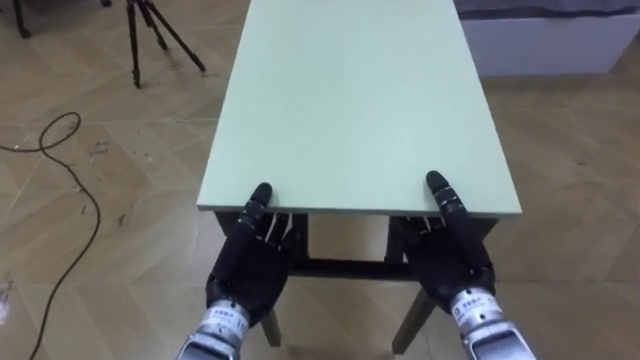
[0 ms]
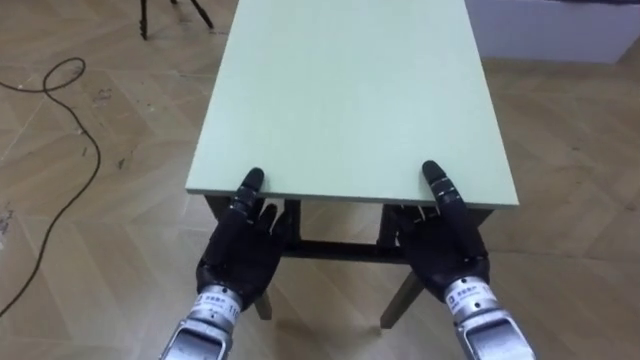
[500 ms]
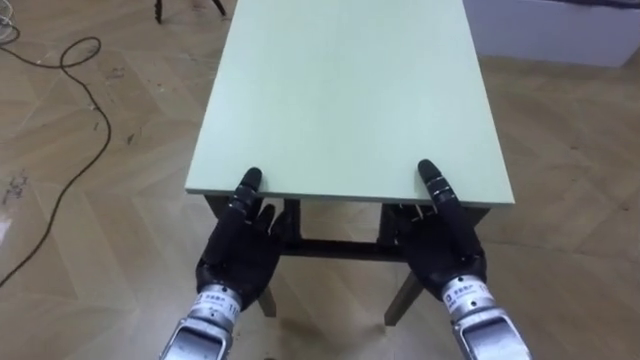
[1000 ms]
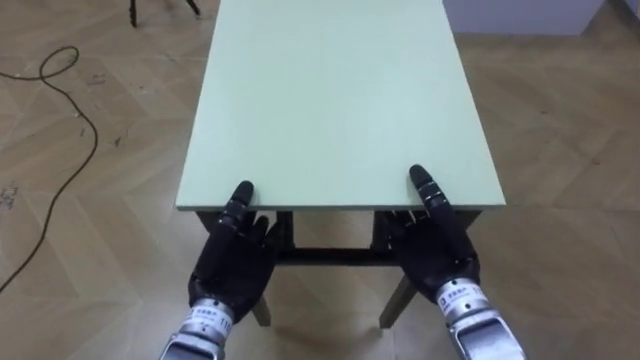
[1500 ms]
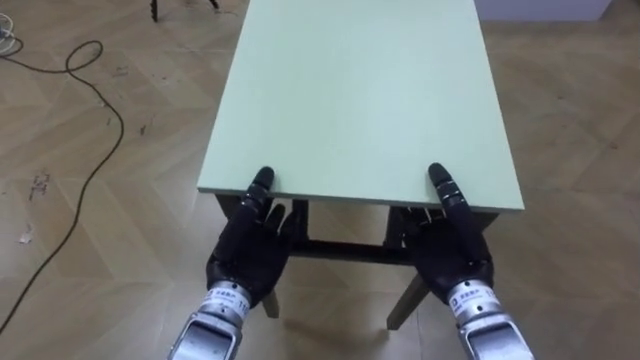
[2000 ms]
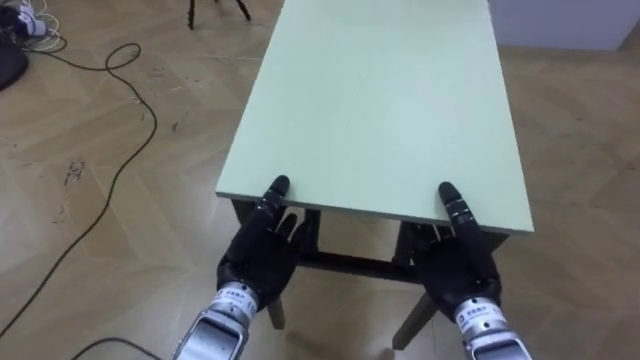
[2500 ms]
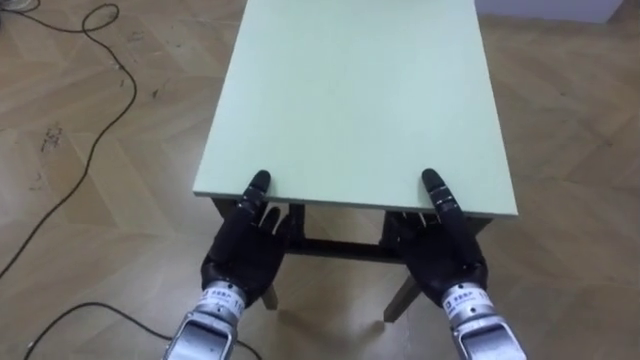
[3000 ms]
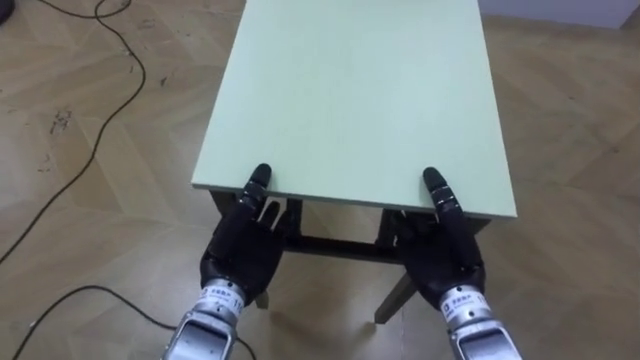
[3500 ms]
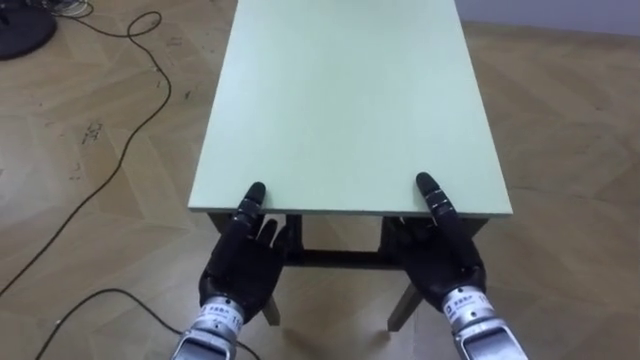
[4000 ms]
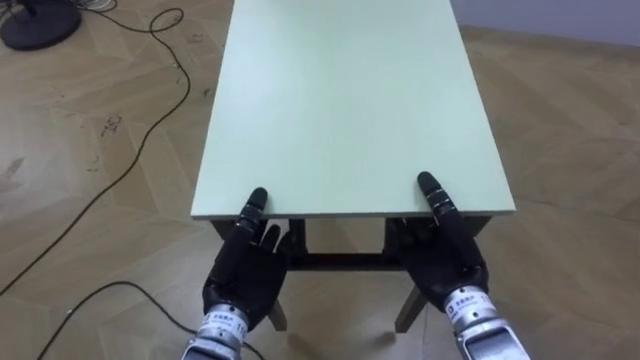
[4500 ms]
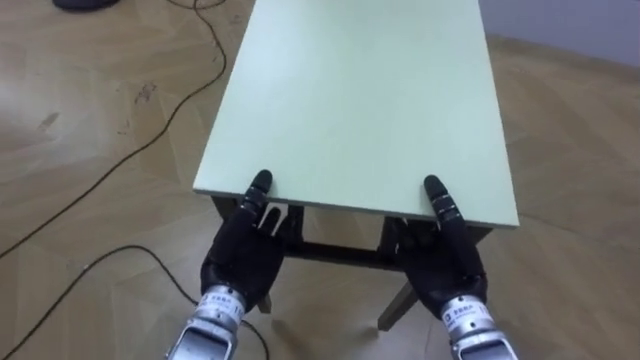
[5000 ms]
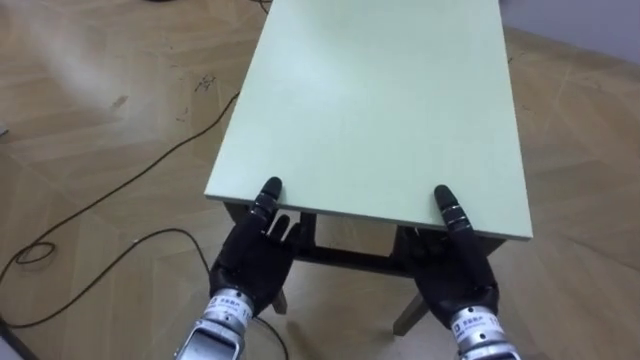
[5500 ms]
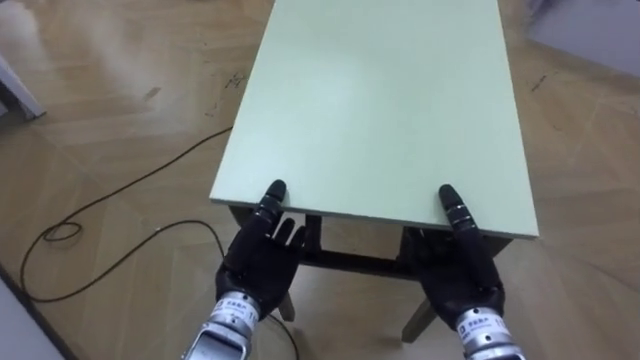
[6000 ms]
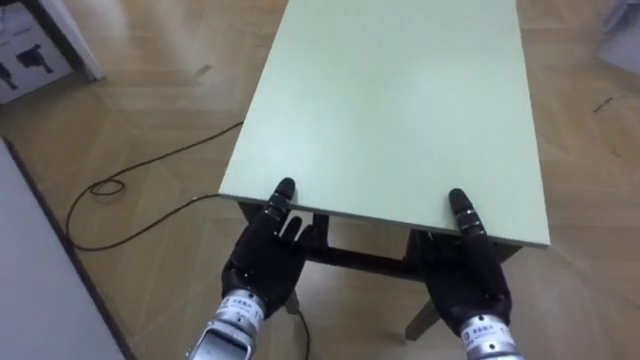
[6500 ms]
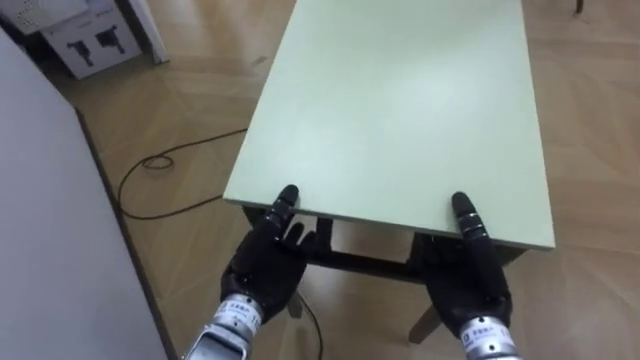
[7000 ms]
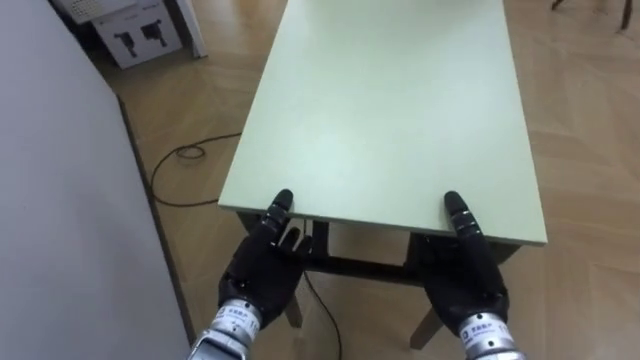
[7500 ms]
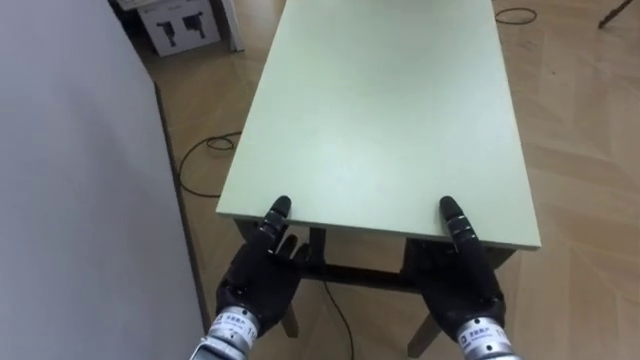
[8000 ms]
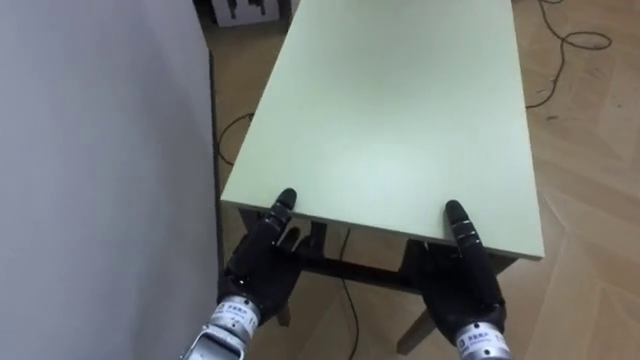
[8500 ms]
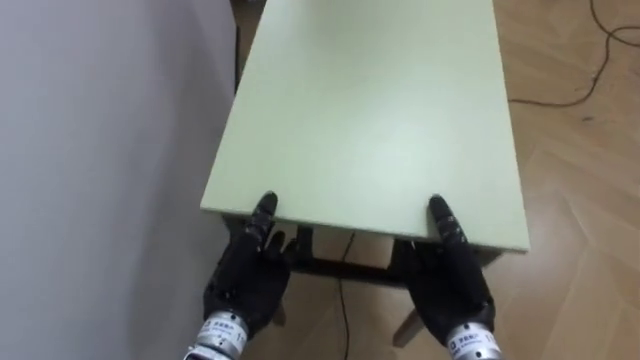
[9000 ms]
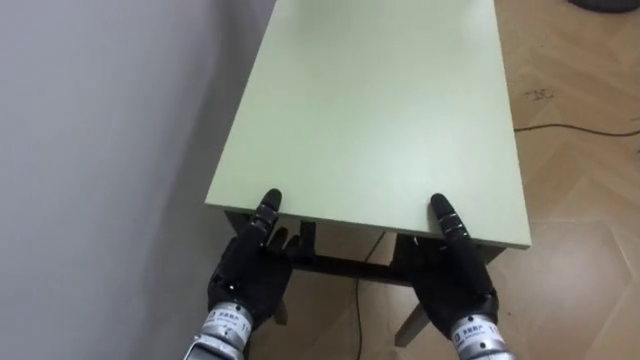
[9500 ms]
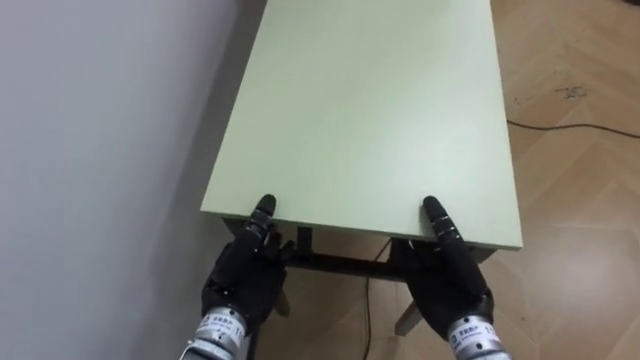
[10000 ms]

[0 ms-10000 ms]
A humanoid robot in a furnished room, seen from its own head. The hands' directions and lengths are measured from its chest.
Task of the whole recording: Move the table to the back left with someone.
4000 ms to 6000 ms: The robot rotates about 30 degrees to its left.
6000 ms to 8000 ms: The robot's body swings some 30 degrees to its left.
8000 ms to 10000 ms: The robot turns to its left by roughly 30 degrees.

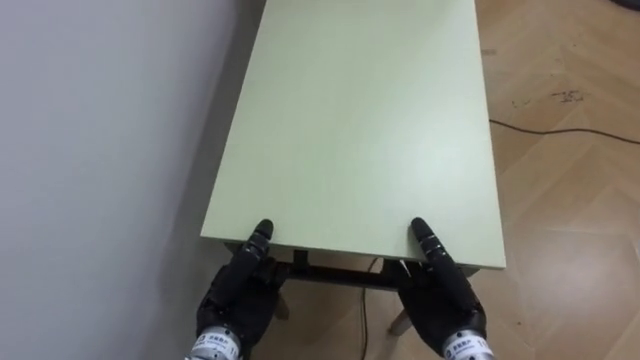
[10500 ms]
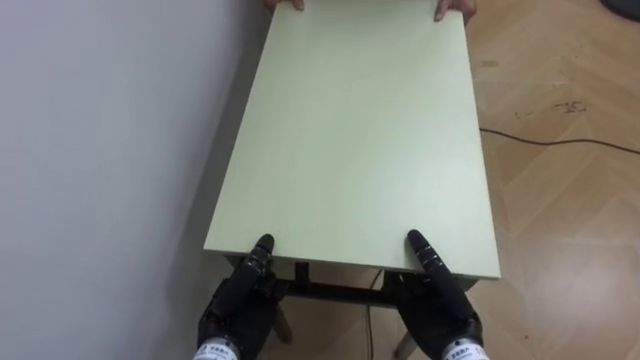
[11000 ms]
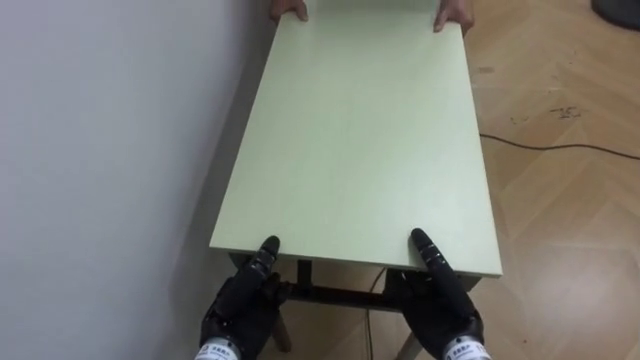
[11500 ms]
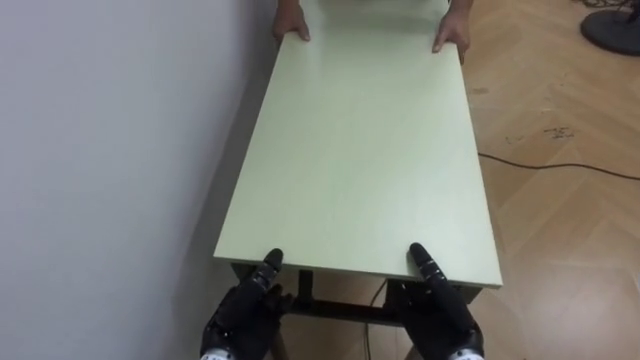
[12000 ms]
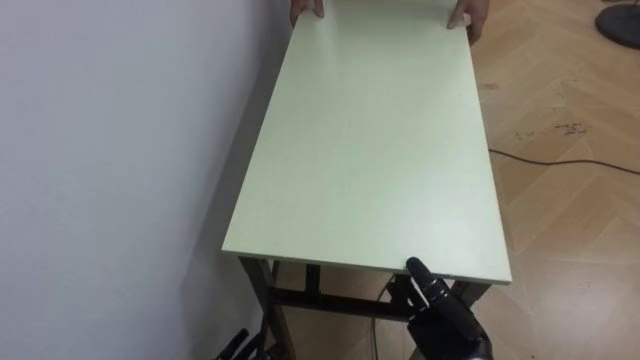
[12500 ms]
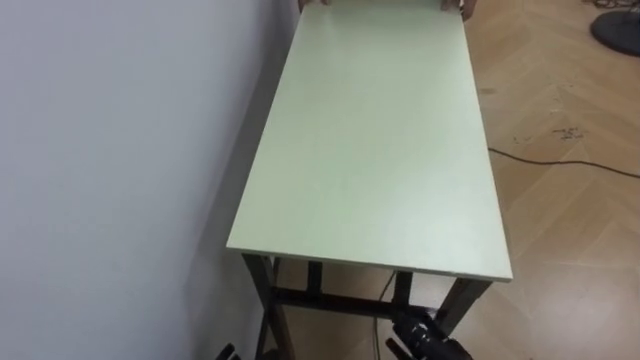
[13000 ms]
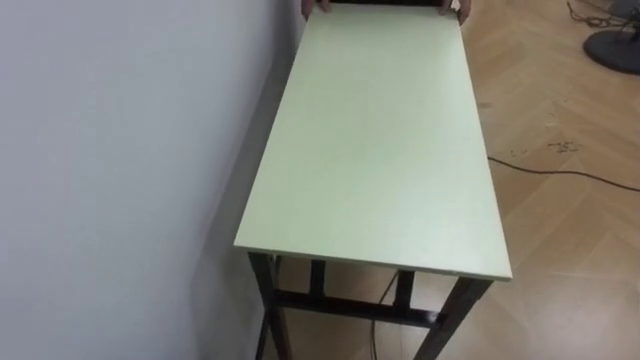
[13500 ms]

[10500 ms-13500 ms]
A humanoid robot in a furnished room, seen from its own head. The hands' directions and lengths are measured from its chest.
Task of the whole recording: Move the table to the back left with someone.
10500 ms to 12000 ms: The left hand moves downward, roughly 5 cm.

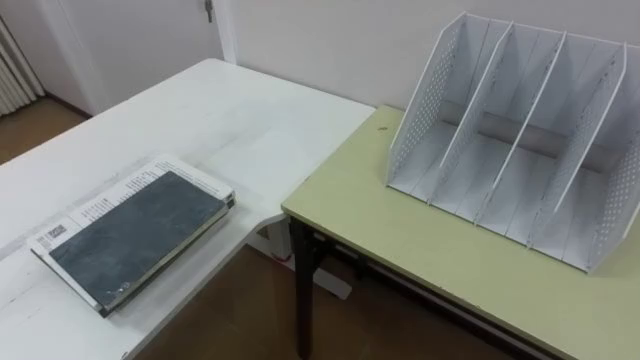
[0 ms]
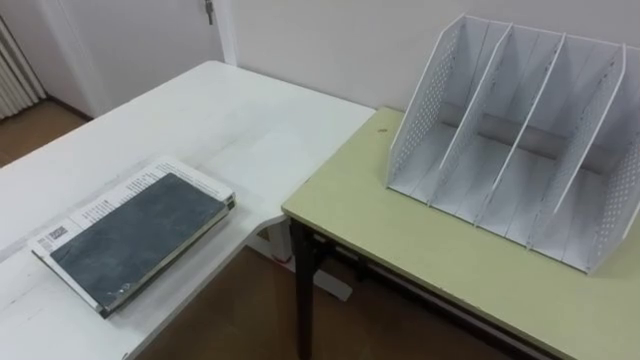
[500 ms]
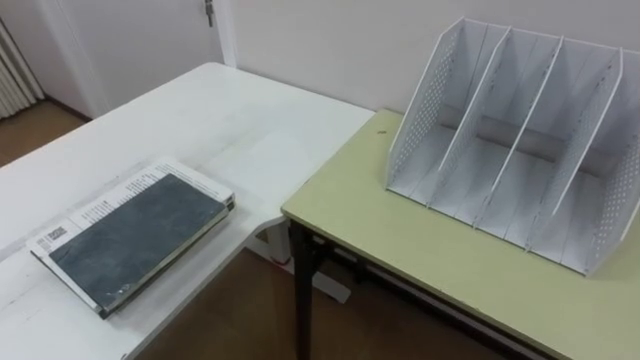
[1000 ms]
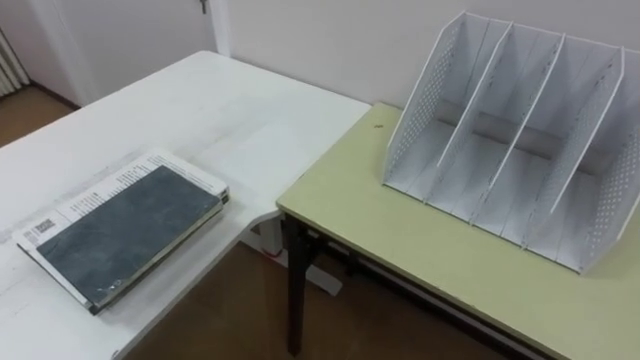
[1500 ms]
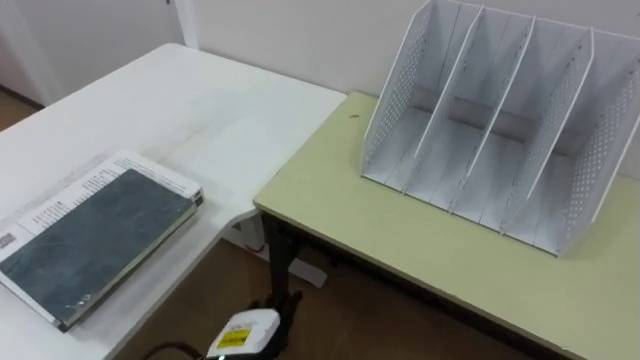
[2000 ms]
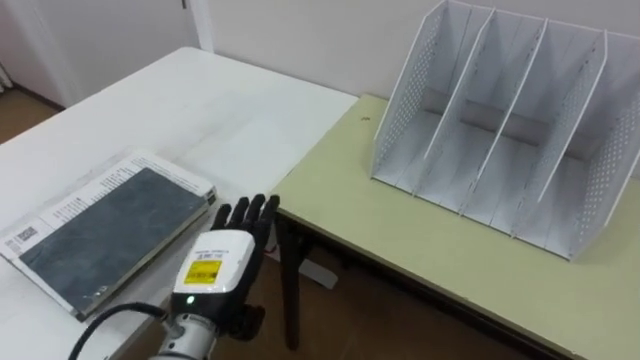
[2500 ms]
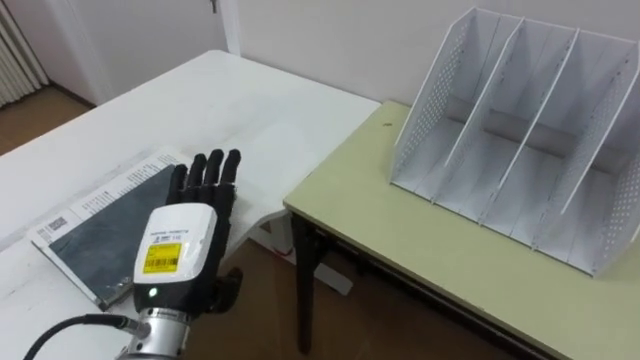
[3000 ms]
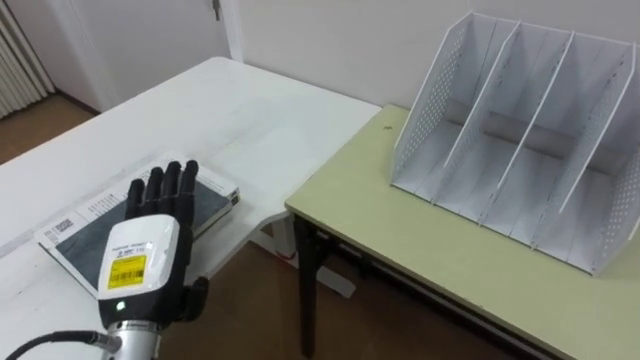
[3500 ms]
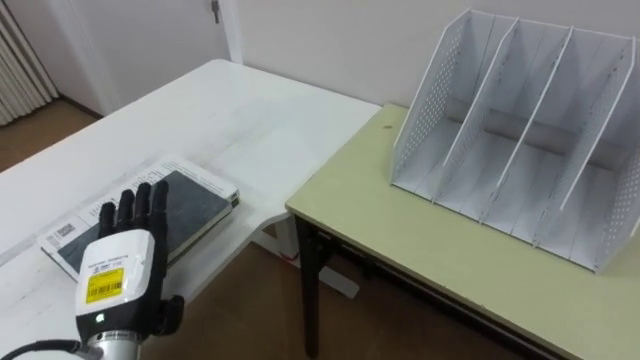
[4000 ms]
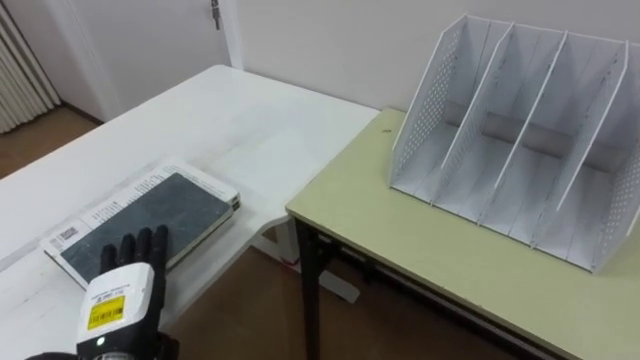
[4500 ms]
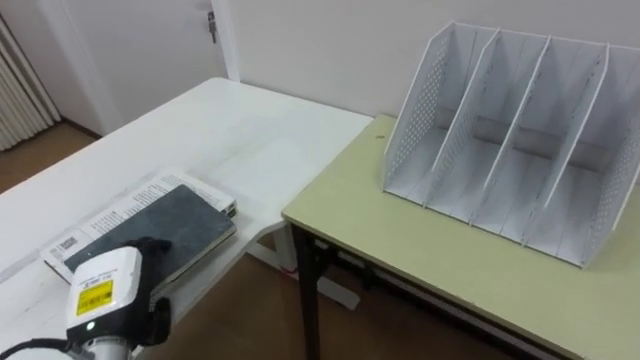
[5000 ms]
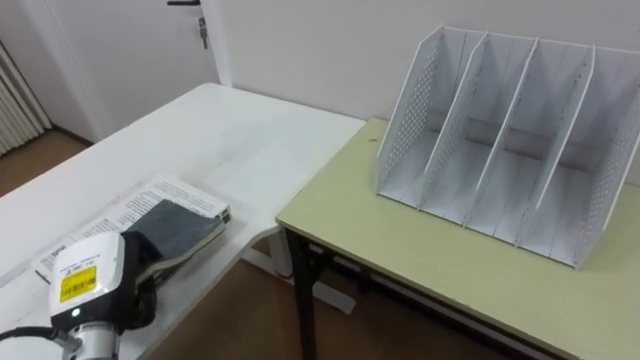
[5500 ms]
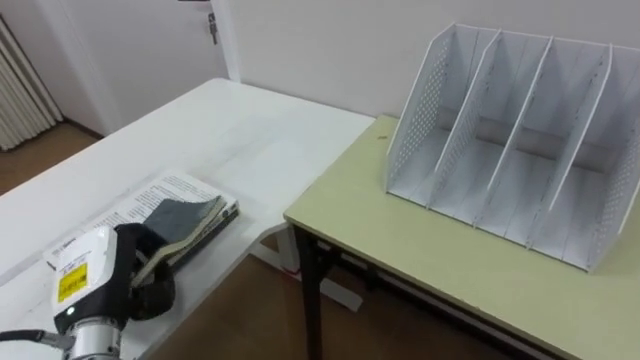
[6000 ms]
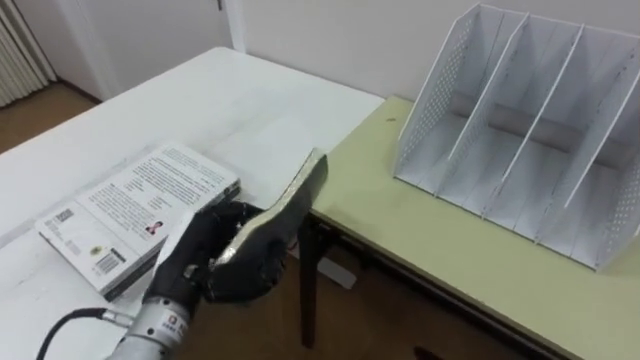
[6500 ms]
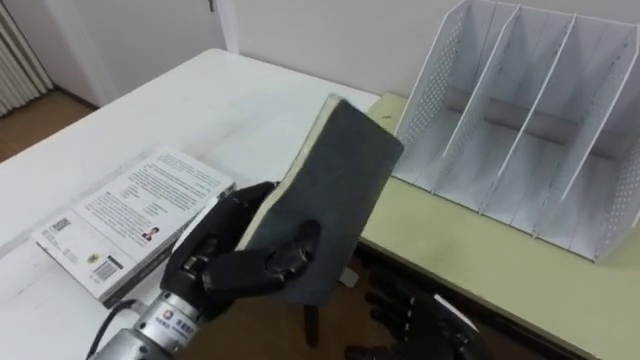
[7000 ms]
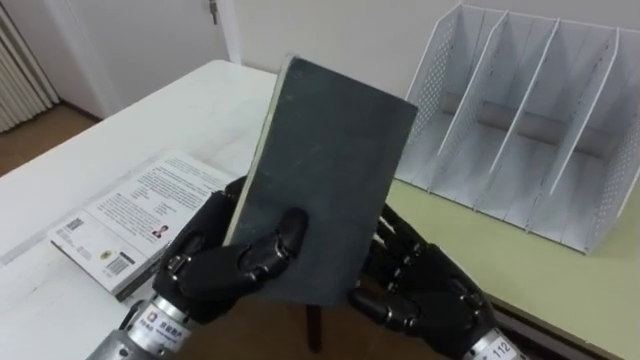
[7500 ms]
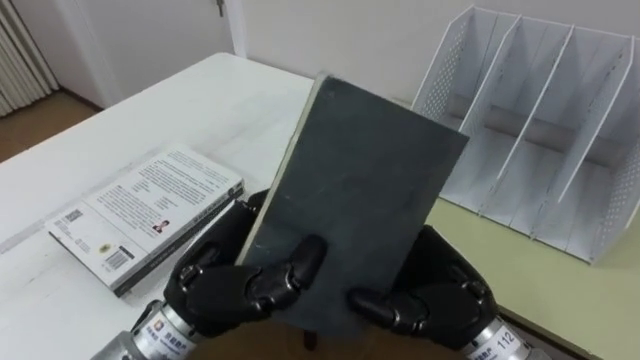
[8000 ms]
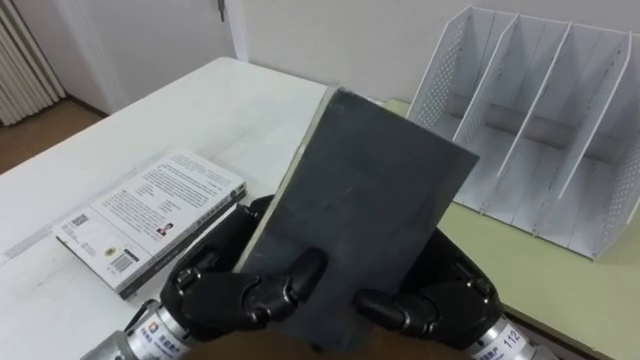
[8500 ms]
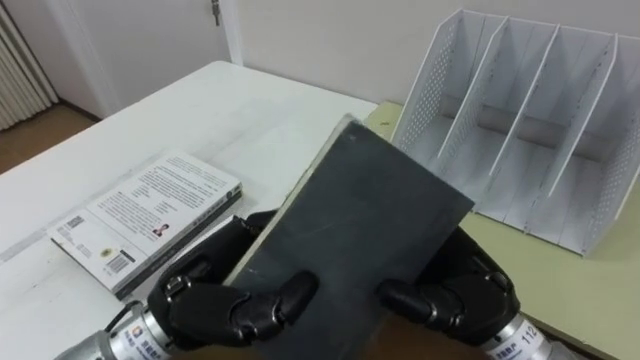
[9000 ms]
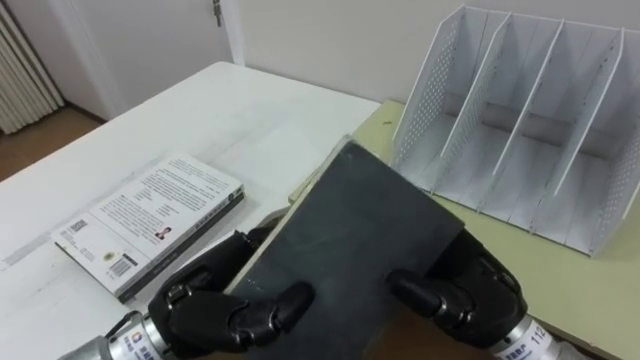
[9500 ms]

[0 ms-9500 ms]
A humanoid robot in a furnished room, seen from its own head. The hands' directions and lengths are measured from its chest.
Task of the whole recording: Put the books on the table onto the bookshelf.
2000 ms to 4000 ms: The left hand heads to the left and upward, covering about 15 cm.
4000 ms to 5500 ms: The left hand closes.
5500 ms to 7500 ms: The left hand shifts approximately 15 cm to the right and upward.
7500 ms to 9500 ms: The right hand shifts about 5 cm upward.
